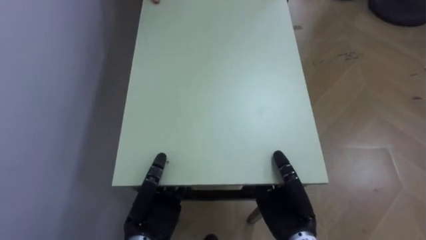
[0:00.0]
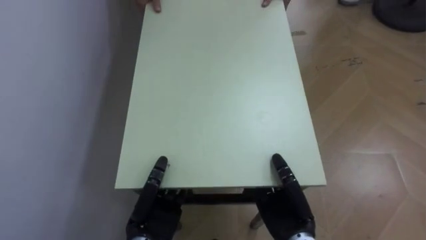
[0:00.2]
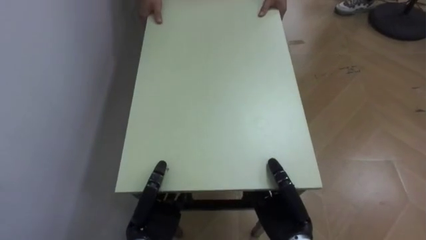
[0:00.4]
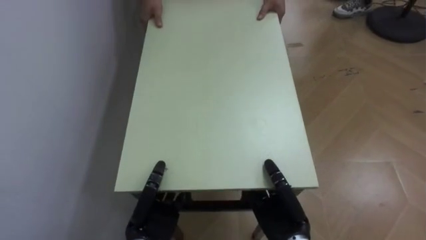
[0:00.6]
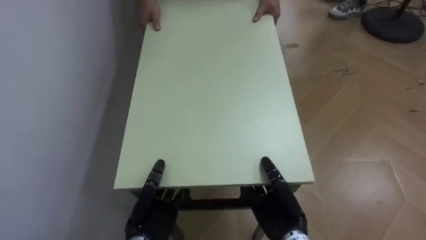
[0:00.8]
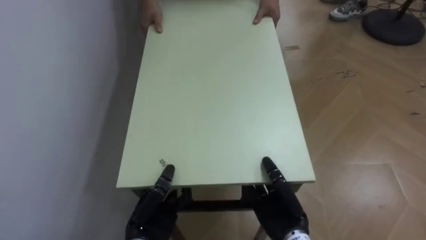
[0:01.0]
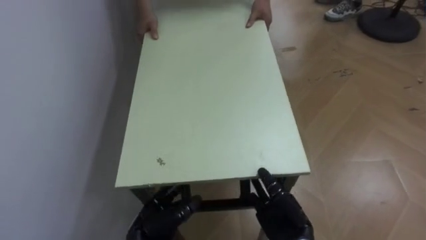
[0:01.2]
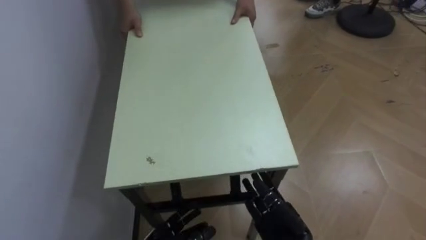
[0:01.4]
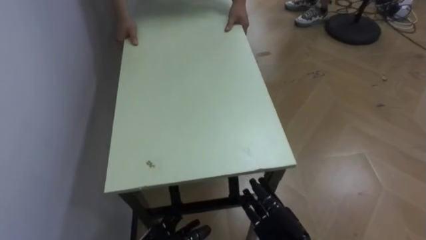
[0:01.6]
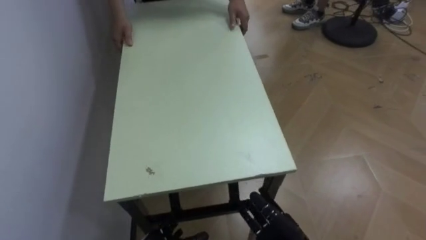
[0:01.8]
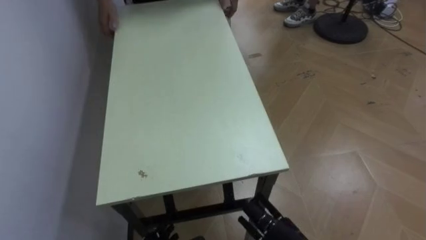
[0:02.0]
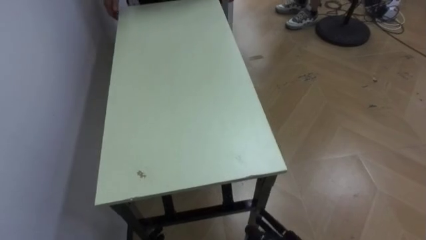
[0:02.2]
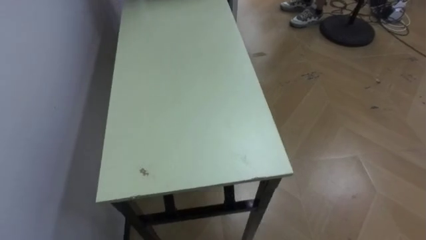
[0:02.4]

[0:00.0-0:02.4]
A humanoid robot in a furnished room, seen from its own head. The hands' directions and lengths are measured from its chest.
Task of the whole recording: Move the table to the back left with someone.
0:00.0 to 0:01.2: The left hand travels downward by approximately 5 cm, and opens up.

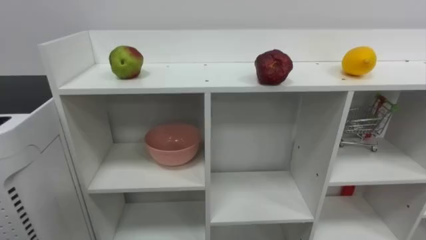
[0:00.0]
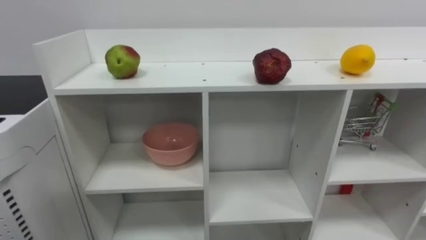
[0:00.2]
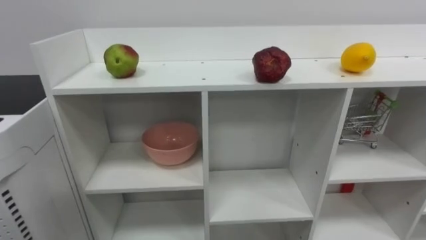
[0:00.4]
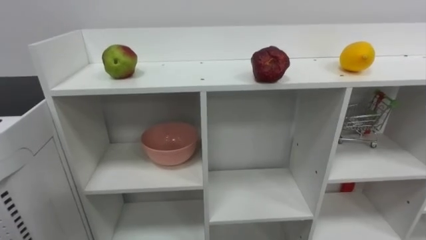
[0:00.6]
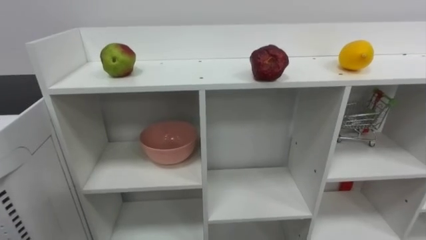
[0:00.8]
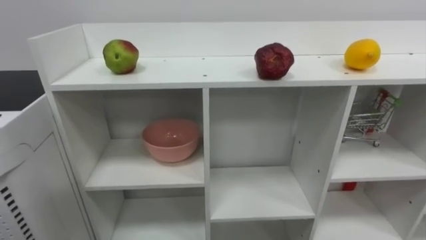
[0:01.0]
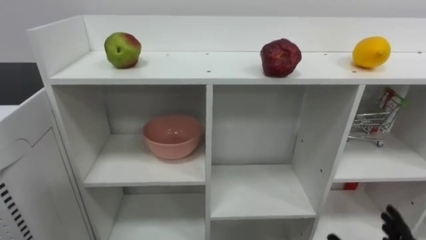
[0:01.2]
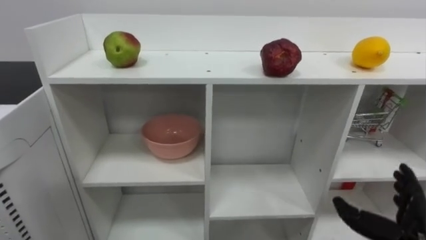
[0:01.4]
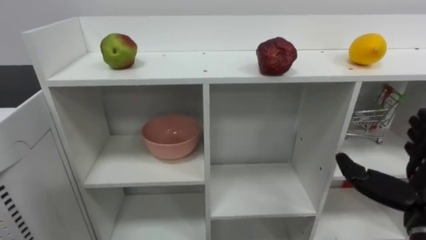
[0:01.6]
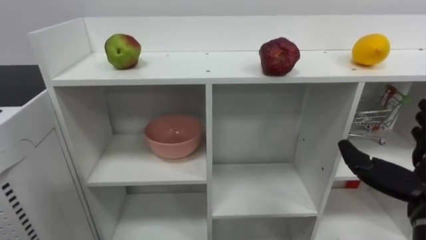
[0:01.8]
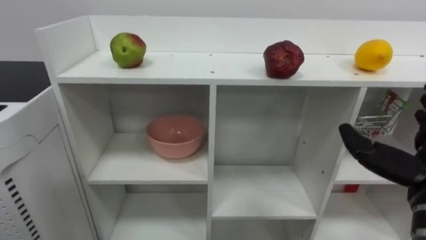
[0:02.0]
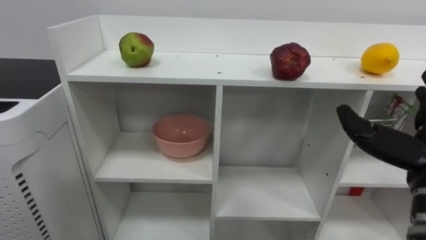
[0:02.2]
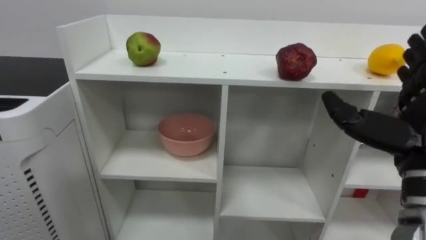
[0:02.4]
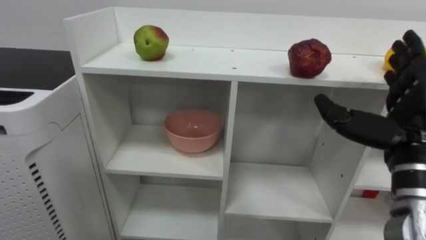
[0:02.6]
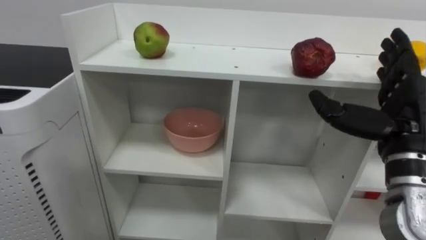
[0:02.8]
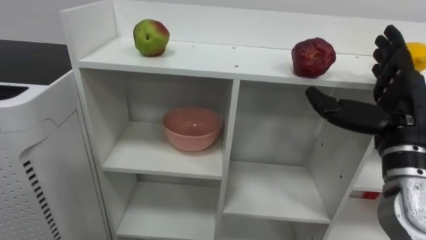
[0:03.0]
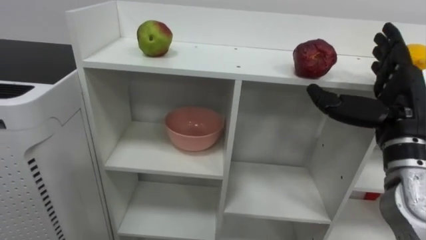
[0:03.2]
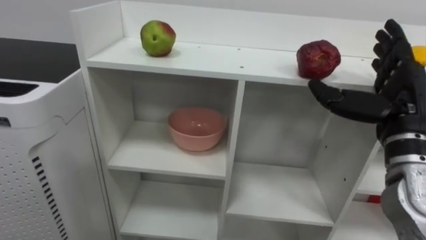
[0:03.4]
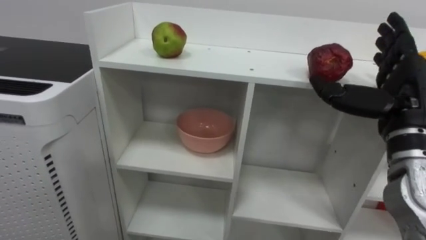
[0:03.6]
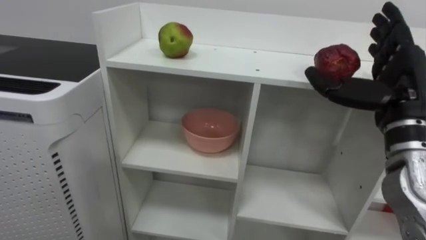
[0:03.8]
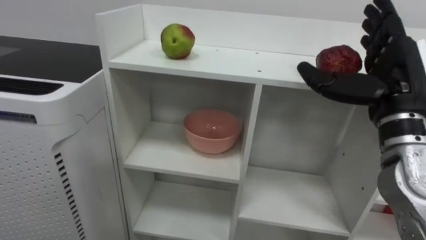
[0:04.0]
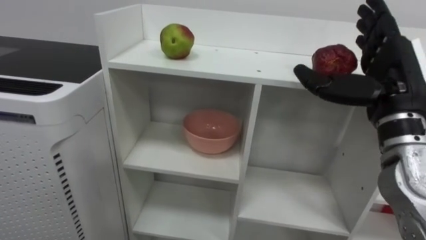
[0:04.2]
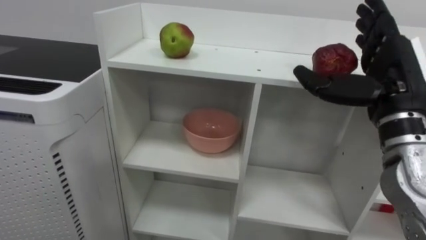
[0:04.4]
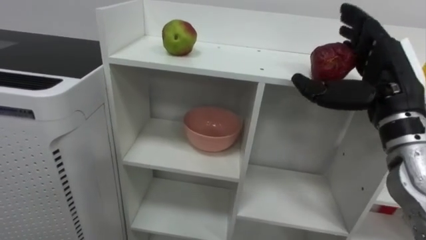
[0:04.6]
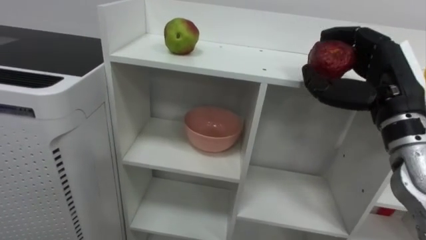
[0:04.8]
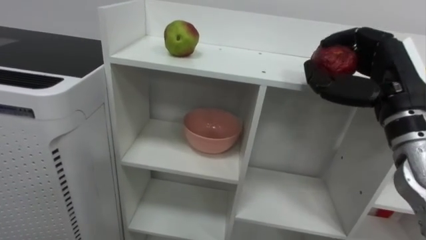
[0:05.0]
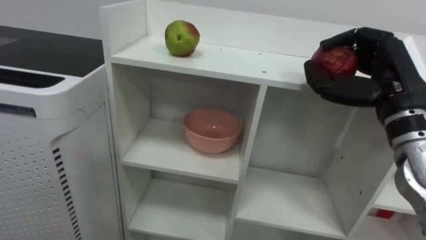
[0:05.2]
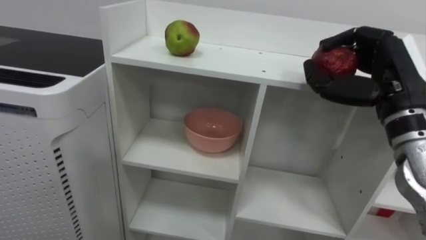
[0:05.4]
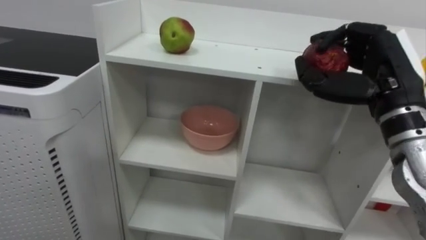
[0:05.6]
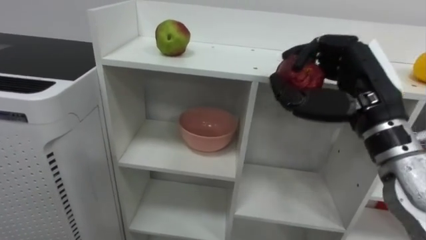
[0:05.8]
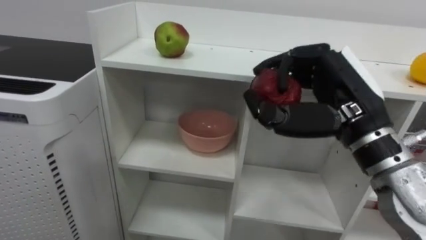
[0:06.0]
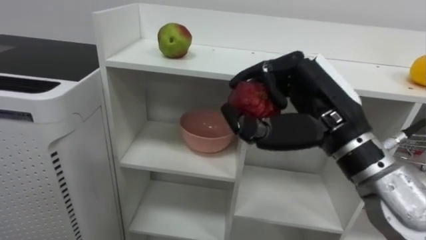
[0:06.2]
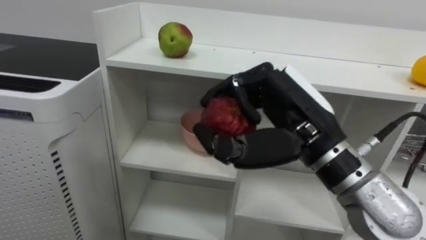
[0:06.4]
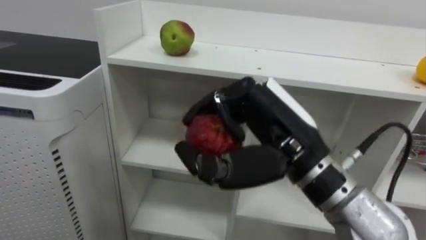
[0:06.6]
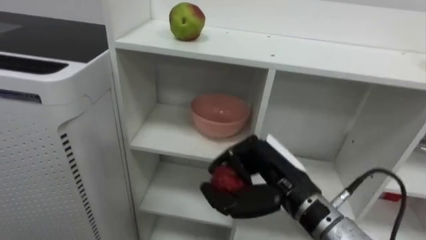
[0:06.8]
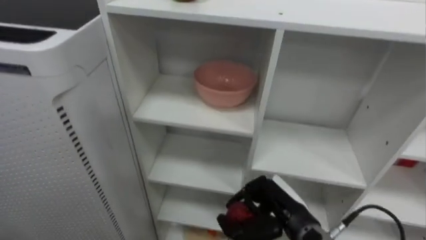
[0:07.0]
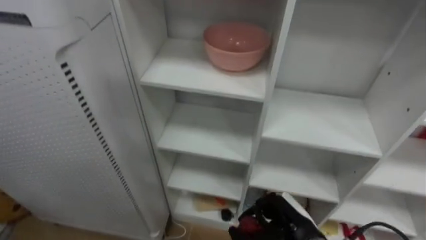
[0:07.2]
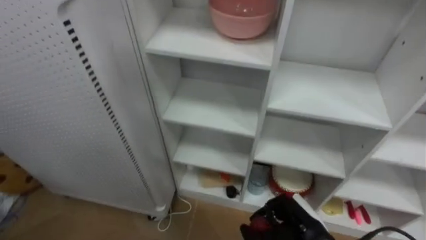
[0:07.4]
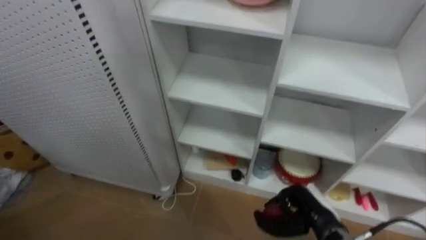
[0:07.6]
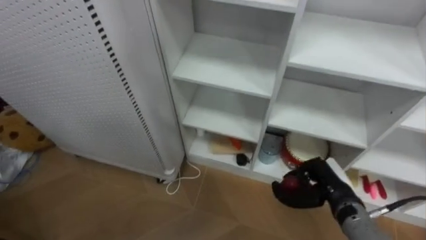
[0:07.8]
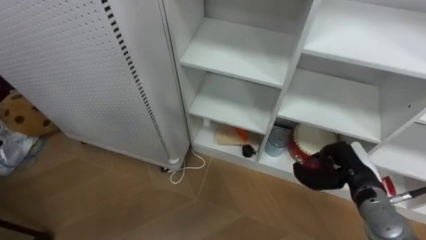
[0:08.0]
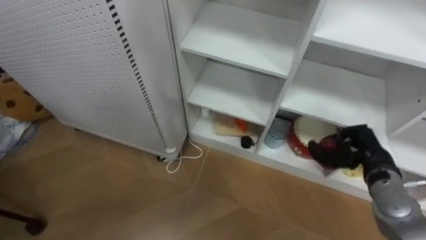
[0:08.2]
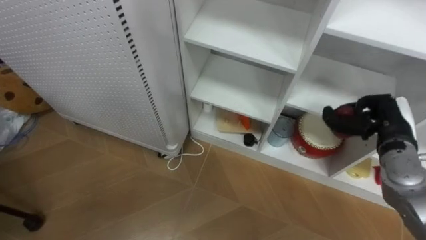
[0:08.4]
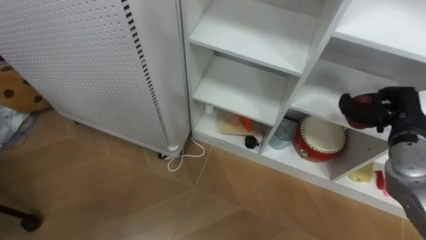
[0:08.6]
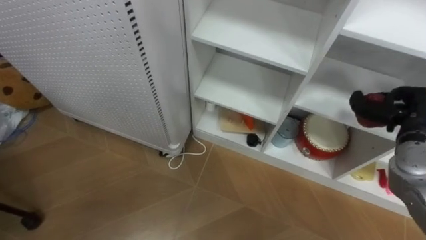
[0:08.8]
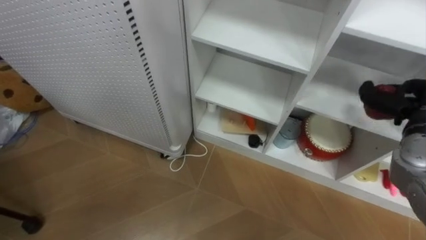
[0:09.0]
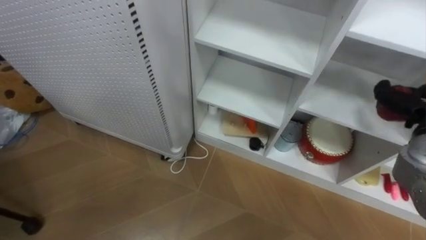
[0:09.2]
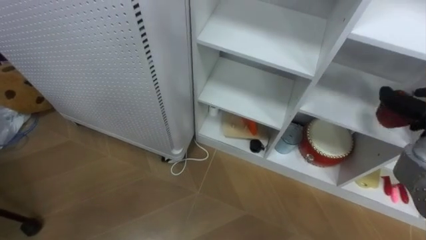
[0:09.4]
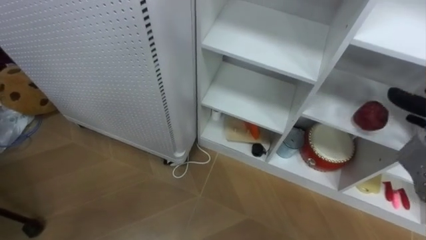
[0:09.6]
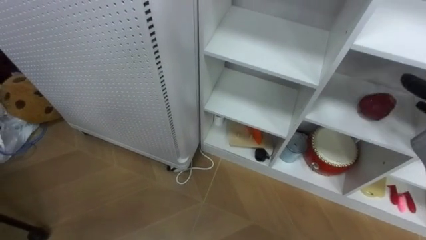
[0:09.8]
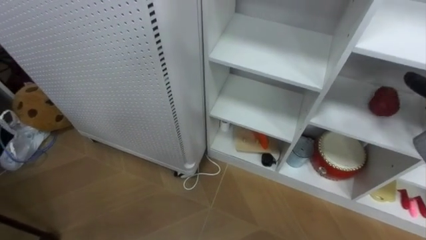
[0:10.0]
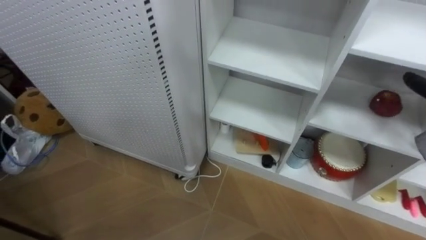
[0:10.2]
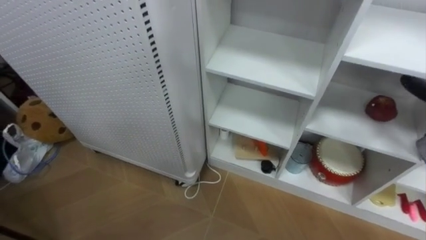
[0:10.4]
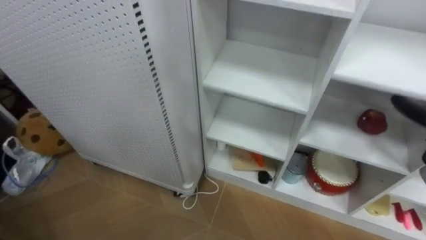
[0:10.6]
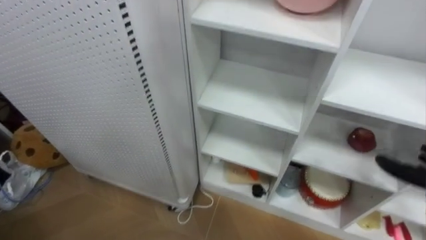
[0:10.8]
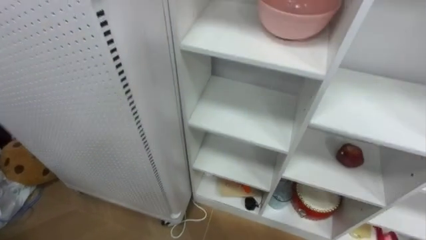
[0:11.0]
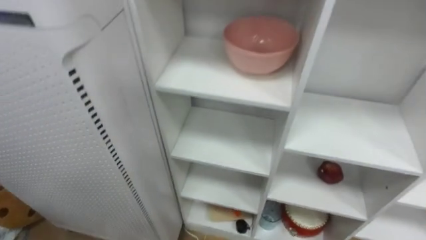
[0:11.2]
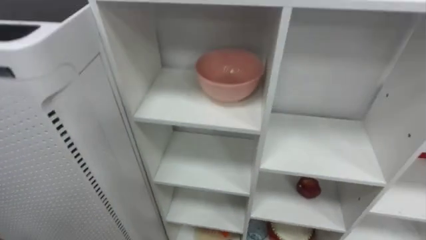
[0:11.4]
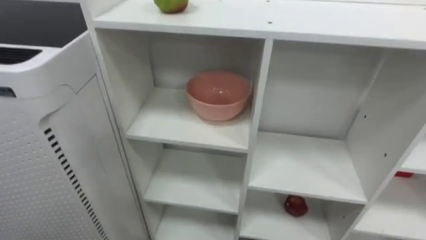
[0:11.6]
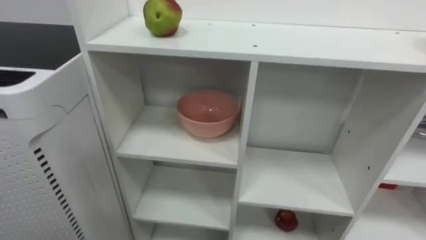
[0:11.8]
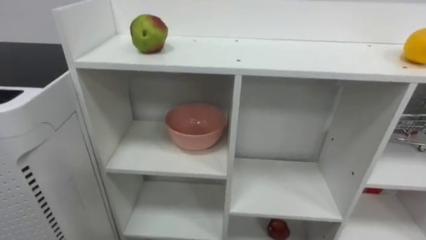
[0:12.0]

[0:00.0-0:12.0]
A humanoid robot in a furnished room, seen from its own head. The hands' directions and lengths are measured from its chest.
Task of the whole recording: Put the apple in the cell in the second column from the left and the second row from the top.
0:04.4 to 0:06.0: The right hand moves to the left, about 5 cm, and closes its fingers.
0:06.0 to 0:07.6: The right hand travels downward by roughly 25 cm.
0:07.6 to 0:09.0: The right hand moves upward and to the right, approximately 25 cm.

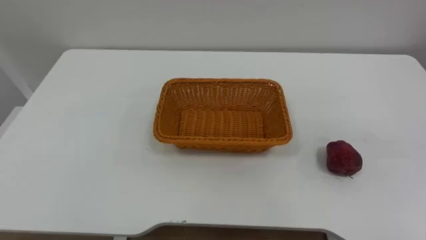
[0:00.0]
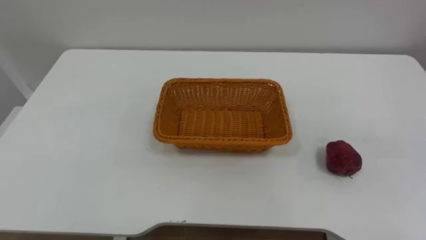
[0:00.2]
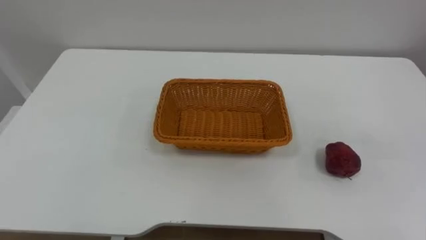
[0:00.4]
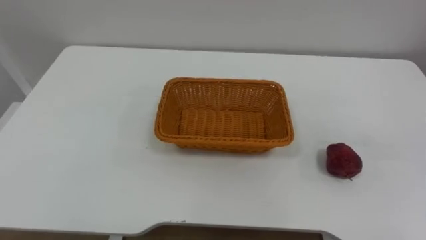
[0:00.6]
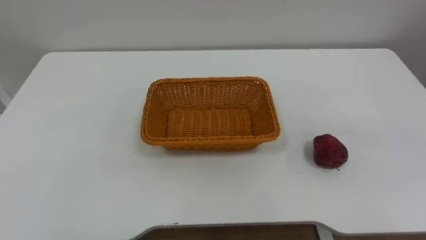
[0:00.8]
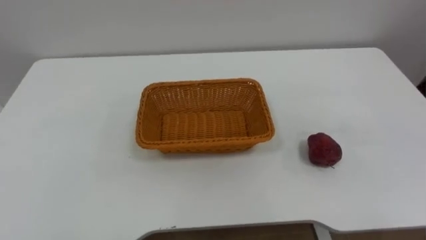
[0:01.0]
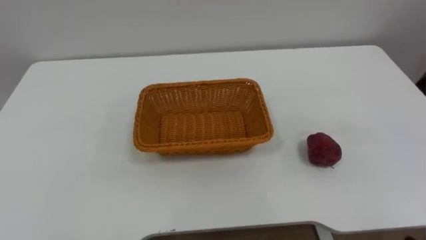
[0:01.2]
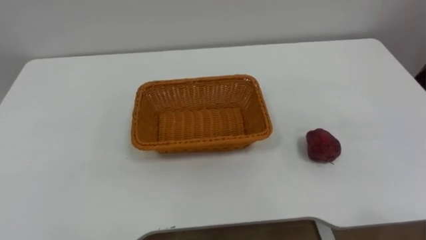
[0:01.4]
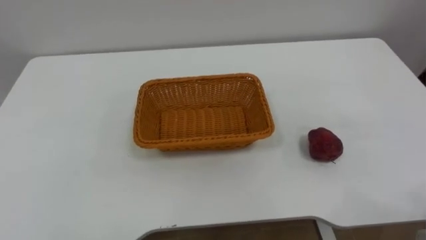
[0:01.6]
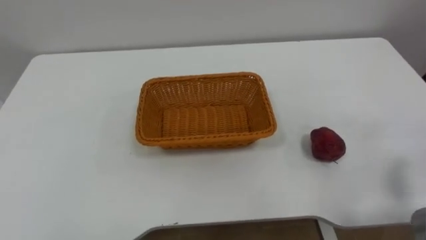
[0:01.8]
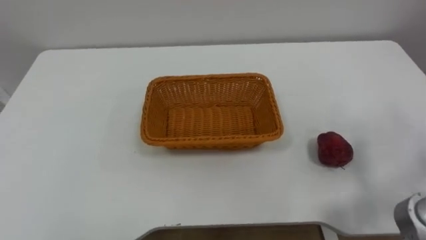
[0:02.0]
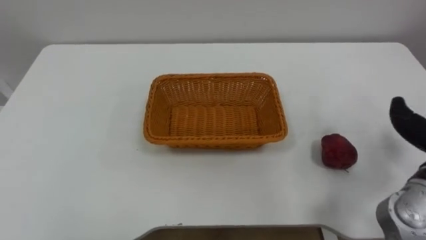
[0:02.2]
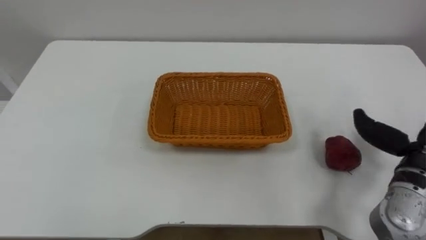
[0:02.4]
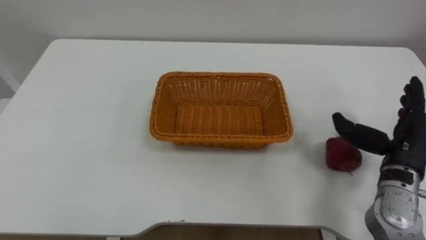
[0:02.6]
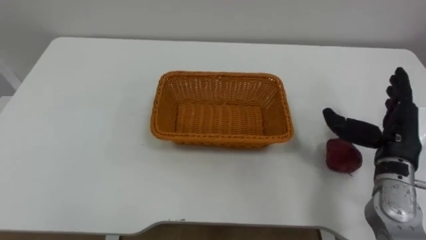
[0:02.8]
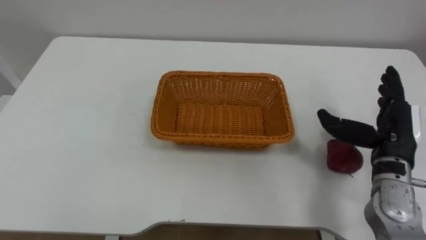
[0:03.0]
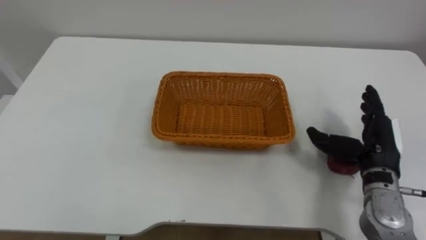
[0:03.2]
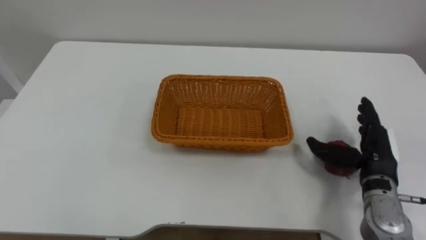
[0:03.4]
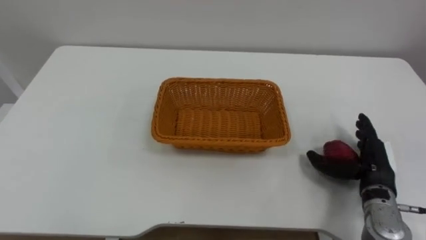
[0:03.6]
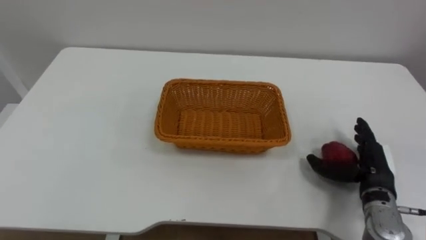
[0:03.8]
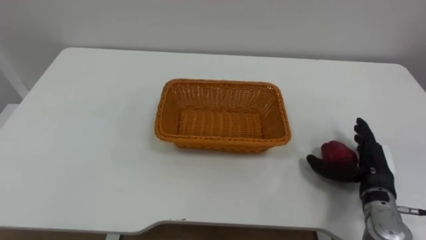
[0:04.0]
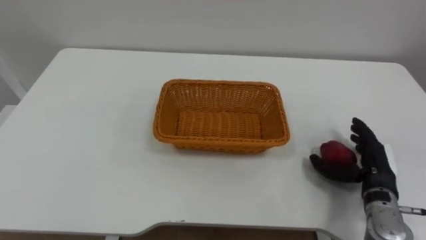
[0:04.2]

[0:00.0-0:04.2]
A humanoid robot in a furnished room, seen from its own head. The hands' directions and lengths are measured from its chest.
Task of the whole recording: Pick the apple and place it in the box.
0:02.8 to 0:04.2: The right hand moves downward, approximately 10 cm.
